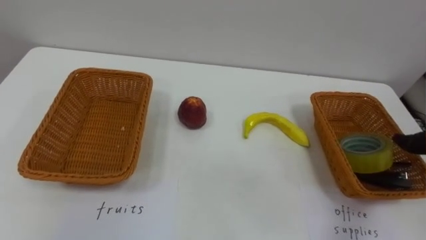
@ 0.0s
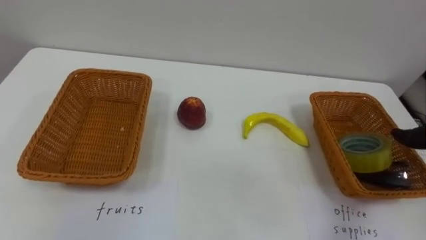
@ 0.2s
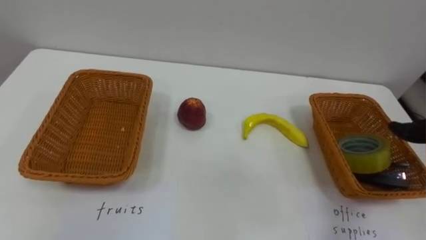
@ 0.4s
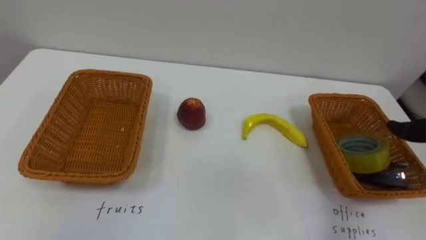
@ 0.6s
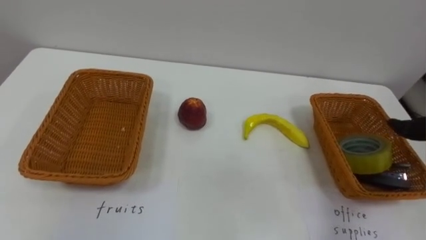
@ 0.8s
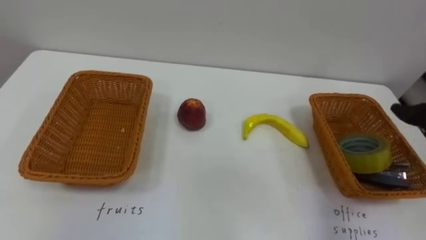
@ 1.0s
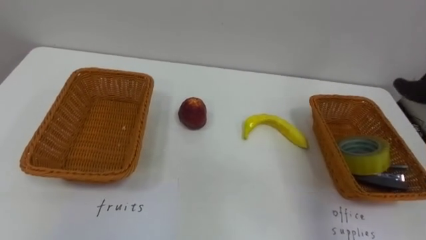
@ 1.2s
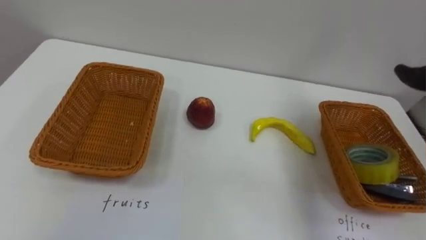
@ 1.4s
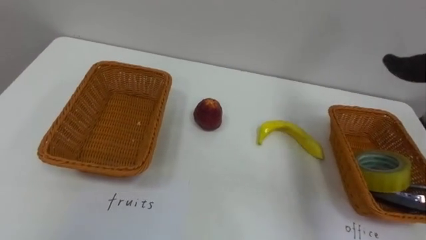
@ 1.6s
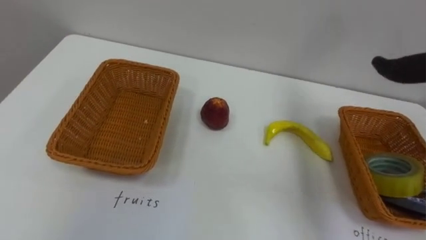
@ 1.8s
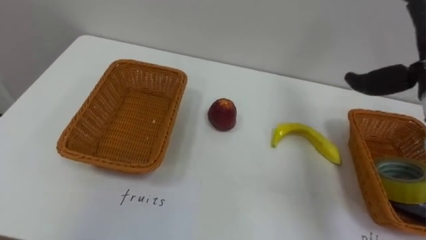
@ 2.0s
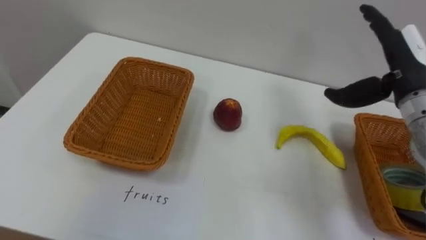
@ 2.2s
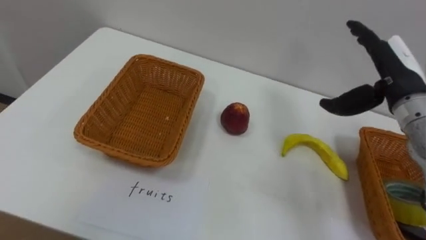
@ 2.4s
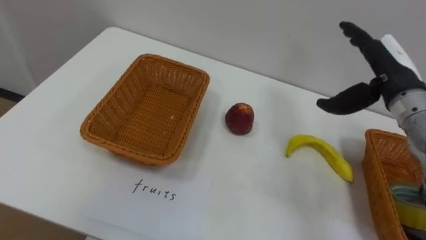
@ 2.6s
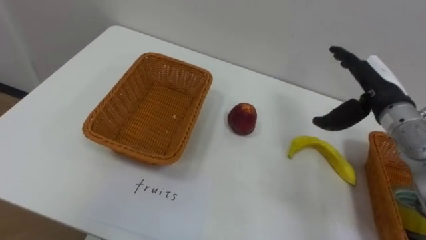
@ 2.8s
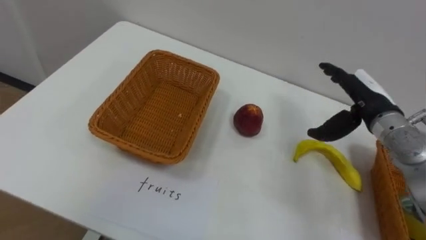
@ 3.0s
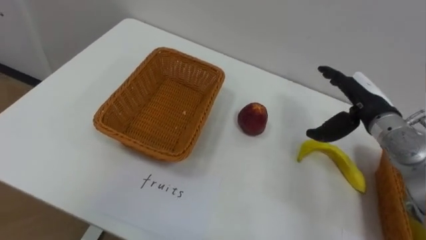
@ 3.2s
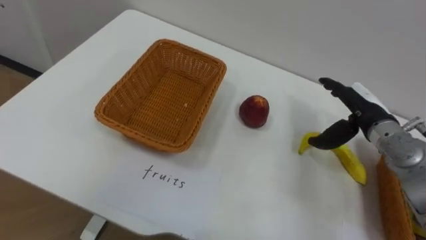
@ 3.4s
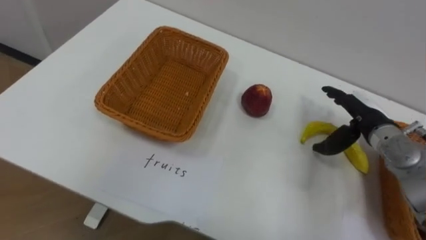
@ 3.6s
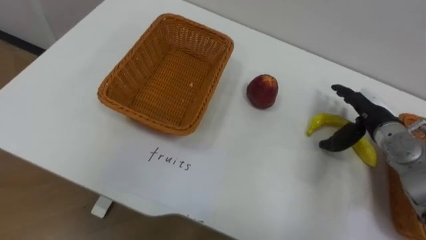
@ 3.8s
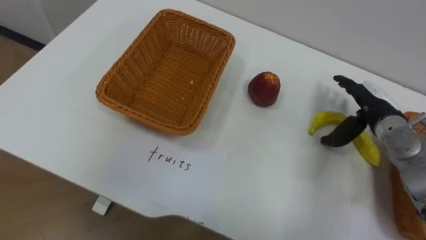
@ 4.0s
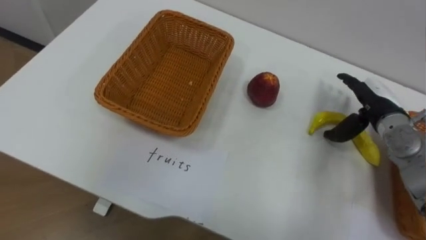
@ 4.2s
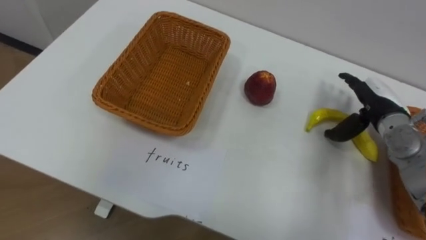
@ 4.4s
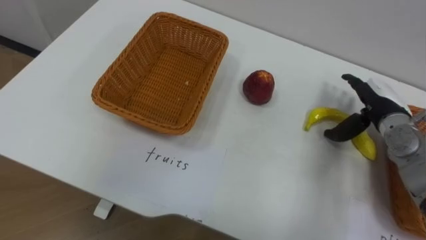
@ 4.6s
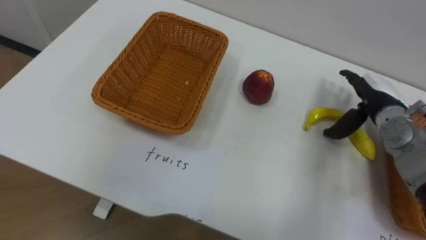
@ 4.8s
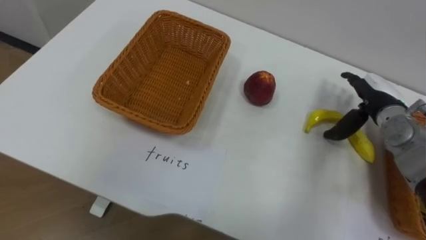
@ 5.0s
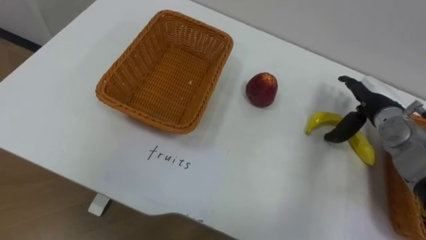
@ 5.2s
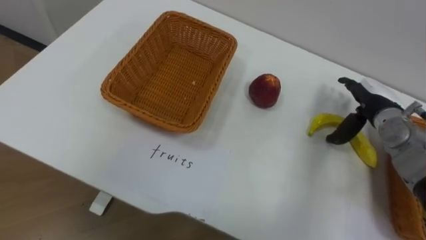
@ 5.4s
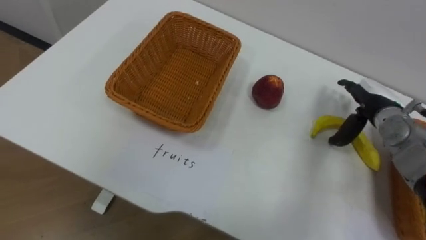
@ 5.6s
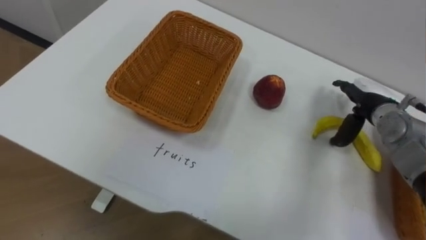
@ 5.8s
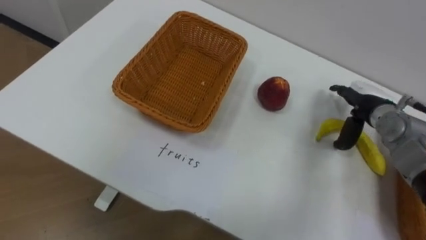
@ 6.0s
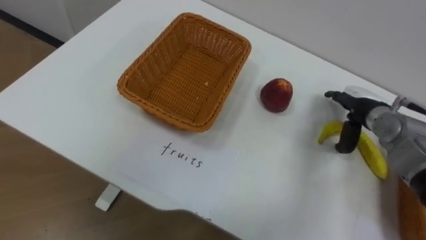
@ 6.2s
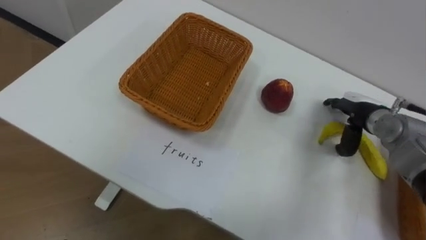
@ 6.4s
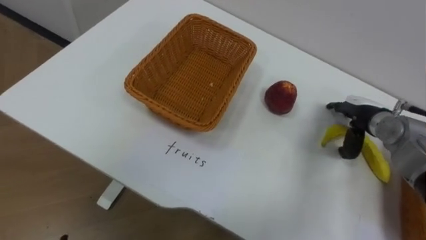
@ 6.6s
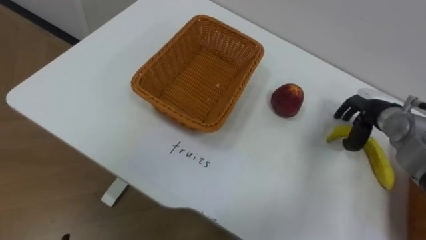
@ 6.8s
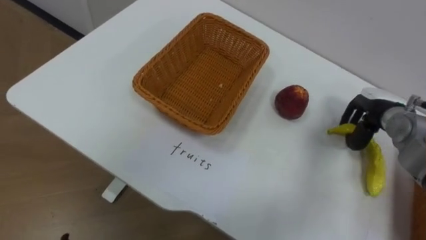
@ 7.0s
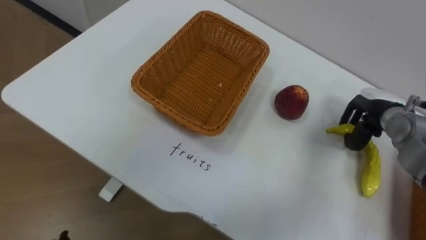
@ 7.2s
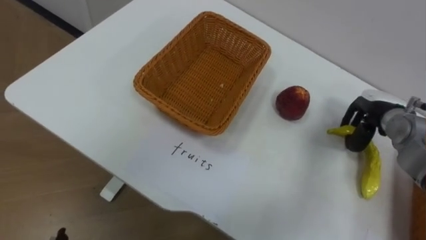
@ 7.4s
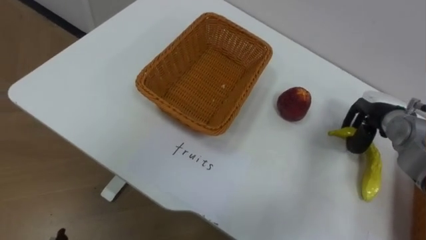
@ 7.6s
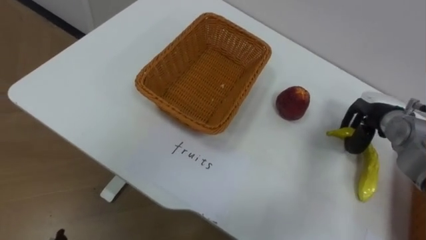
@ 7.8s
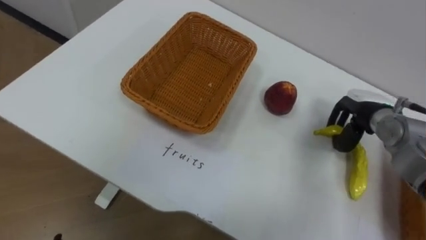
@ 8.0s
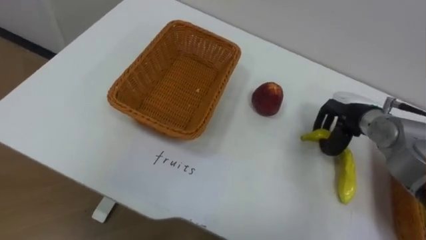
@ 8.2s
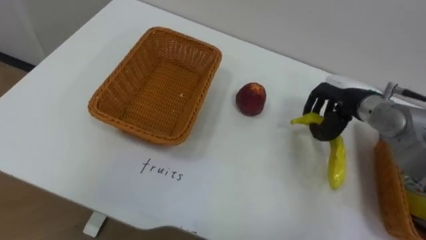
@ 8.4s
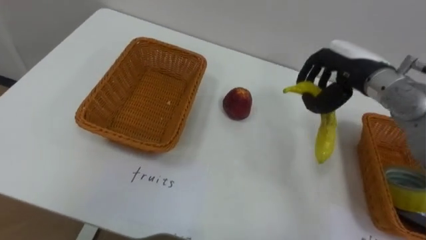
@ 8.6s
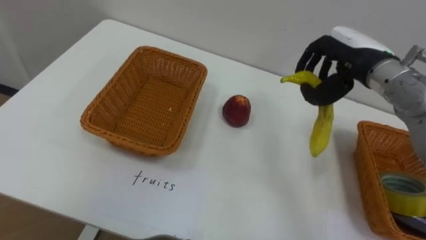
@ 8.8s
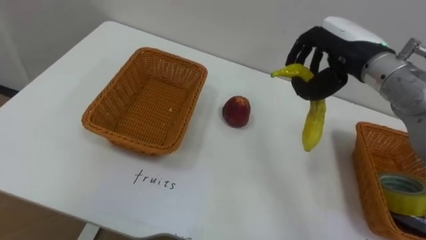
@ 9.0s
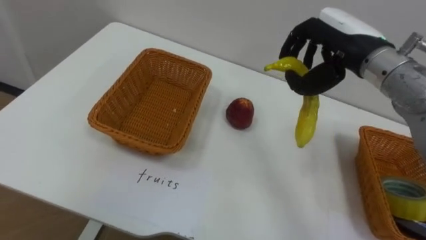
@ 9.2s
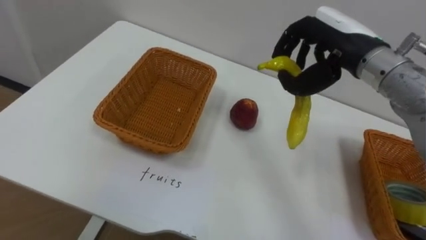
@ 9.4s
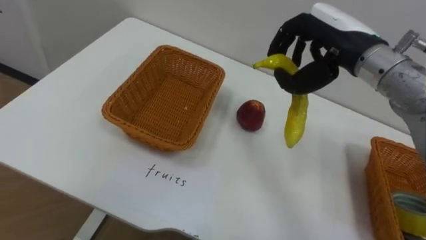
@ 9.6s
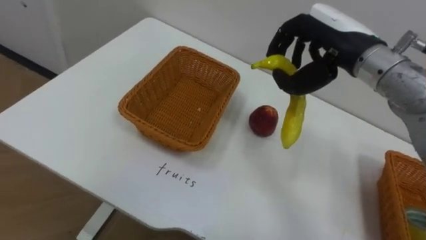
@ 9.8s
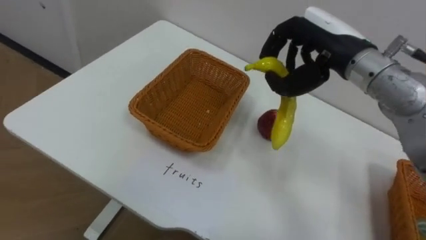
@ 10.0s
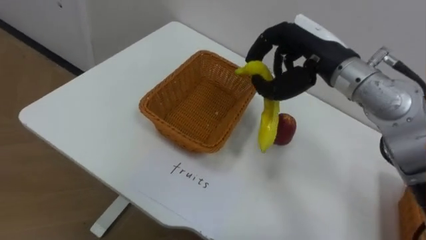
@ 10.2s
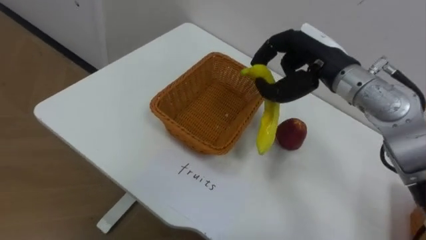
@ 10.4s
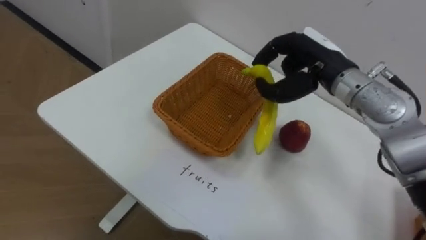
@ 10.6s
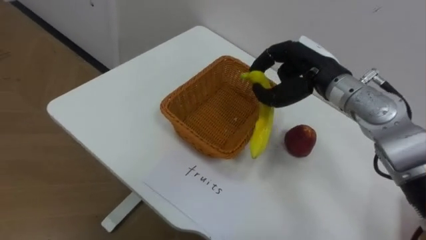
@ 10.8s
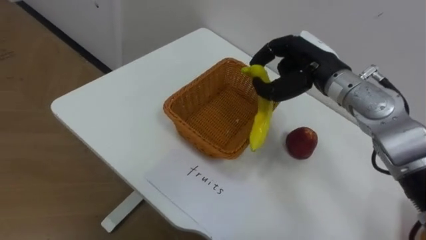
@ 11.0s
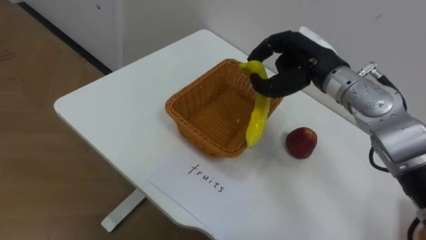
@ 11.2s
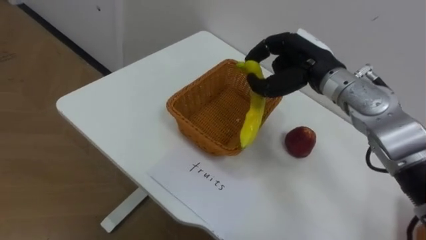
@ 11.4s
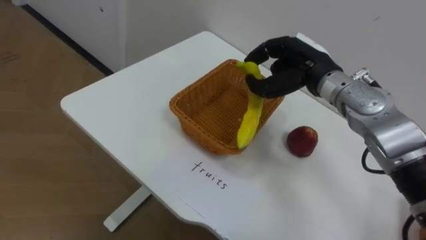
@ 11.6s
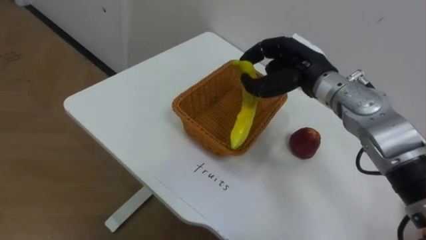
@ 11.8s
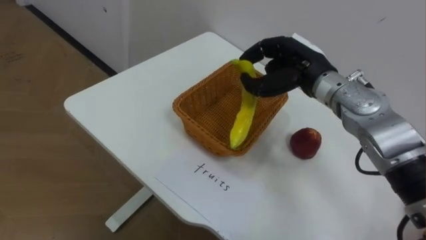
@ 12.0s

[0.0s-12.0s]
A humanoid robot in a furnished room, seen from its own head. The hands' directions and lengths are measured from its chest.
Task of the whole recording: Separate the items on the table and place them into the two baskets.
6.0s to 7.6s: The right hand closes up.
7.6s to 9.0s: The right hand travels upward and to the left by roughly 20 cm.

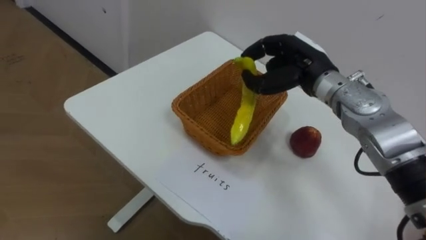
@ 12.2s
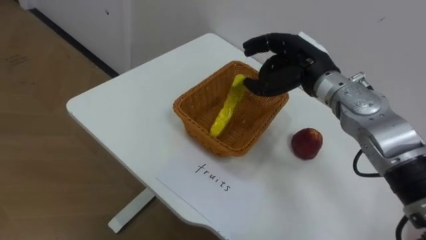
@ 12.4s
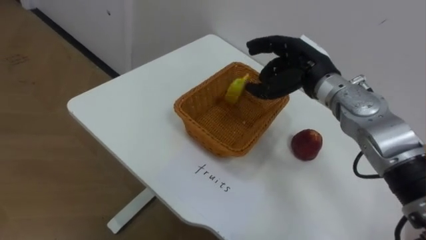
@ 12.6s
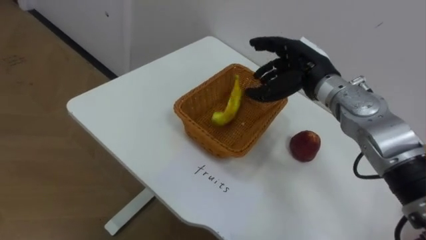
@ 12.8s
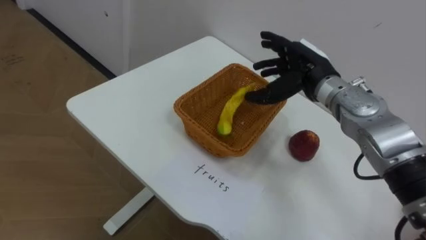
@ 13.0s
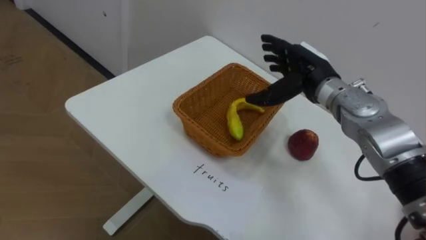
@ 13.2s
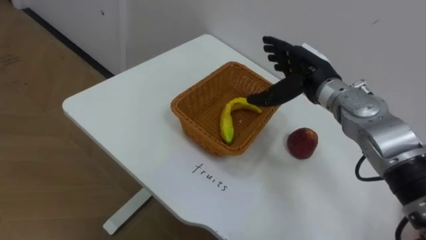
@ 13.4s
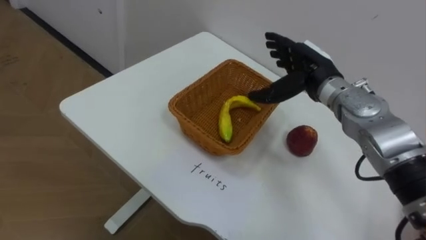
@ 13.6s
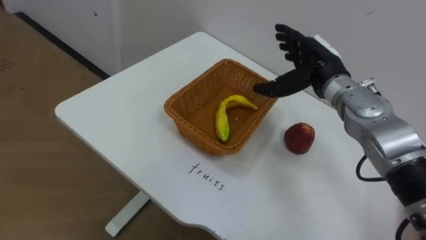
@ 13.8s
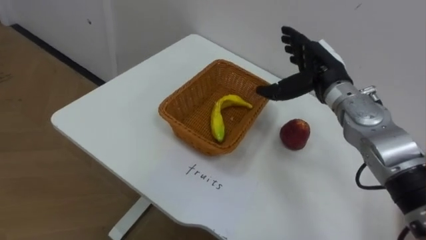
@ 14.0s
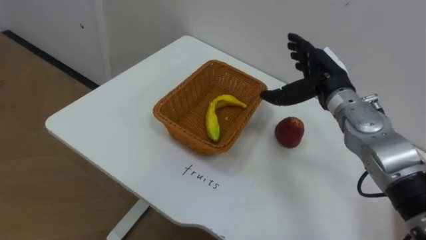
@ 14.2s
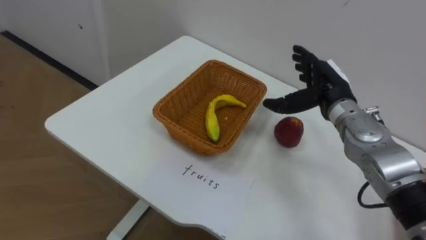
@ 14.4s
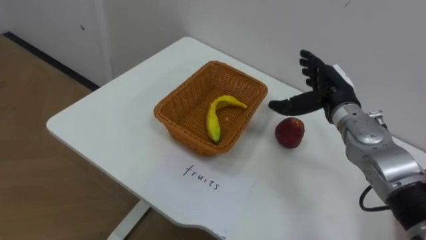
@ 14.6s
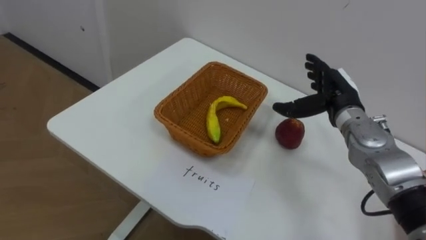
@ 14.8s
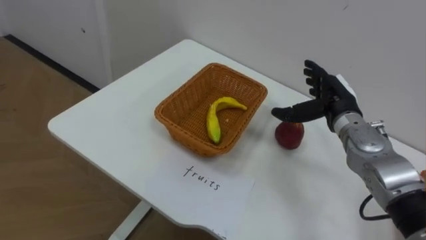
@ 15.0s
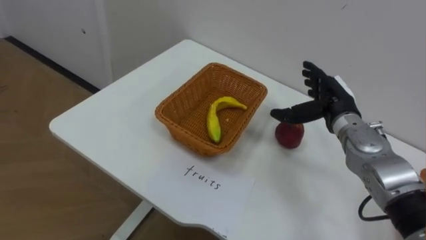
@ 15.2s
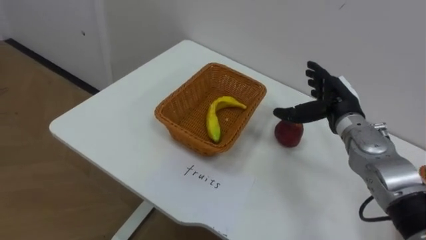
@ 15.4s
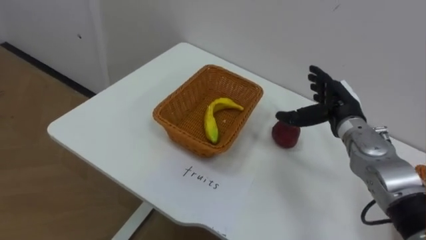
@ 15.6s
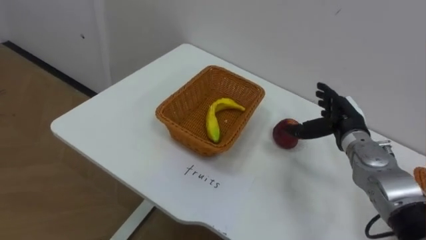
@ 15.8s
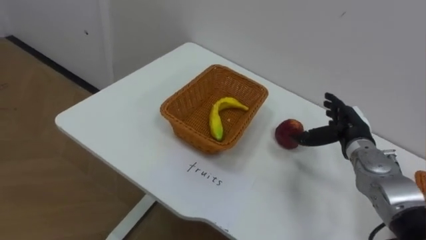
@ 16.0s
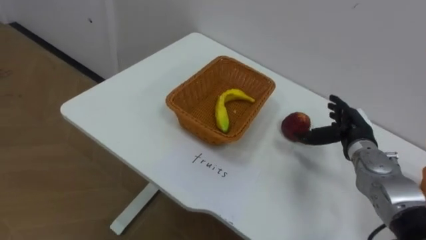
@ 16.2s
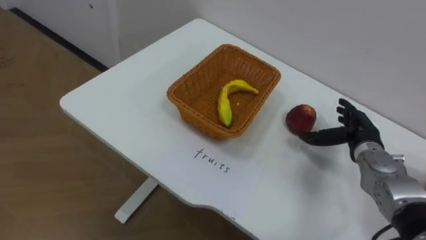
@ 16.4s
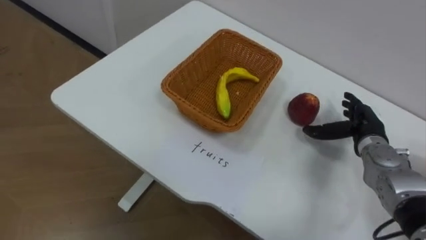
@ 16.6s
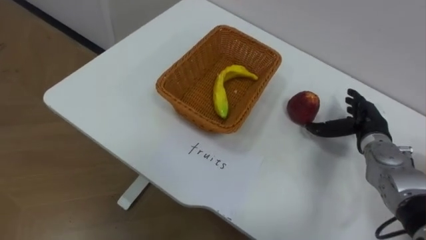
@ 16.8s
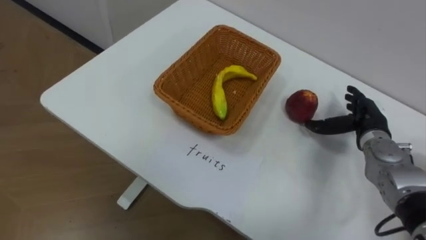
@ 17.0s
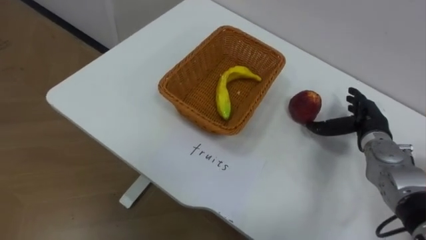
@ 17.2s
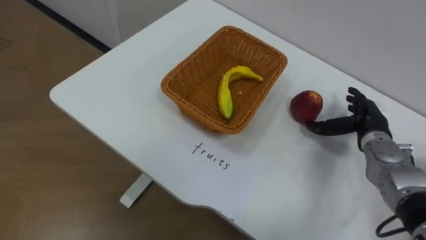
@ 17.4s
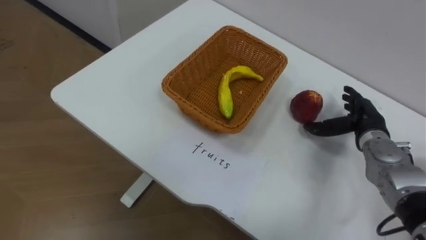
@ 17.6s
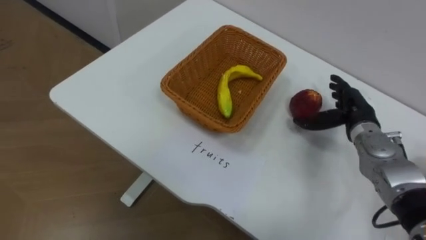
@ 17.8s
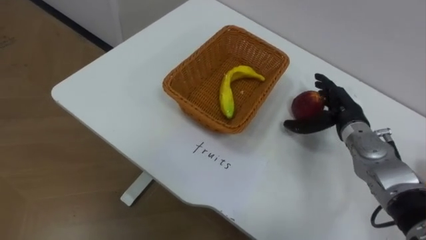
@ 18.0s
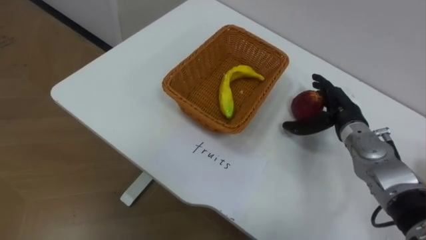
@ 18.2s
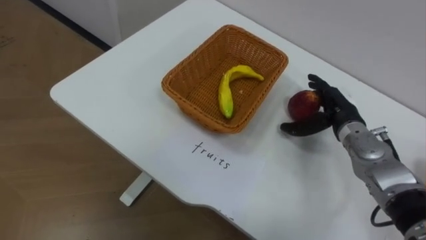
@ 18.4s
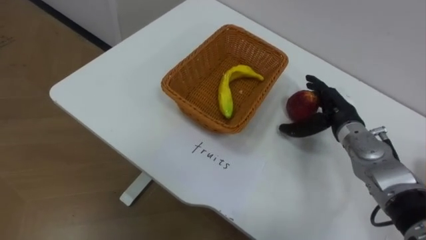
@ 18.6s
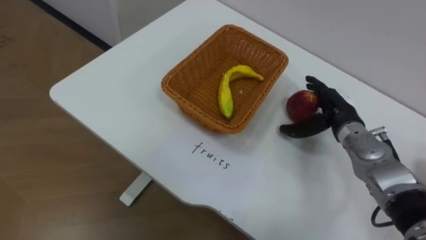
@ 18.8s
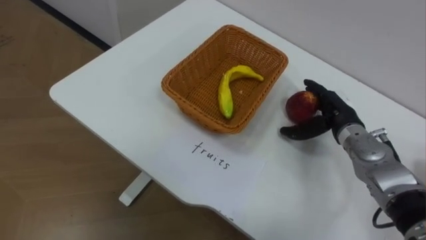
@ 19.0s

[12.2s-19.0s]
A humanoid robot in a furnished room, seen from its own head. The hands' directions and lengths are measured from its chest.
Task of the whole recording: Separate the items on the table and place them into the two baskets.
12.2s to 13.6s: The right hand opens its fingers.
13.6s to 15.0s: The right hand goes roughly 10 cm to the right and downward.
15.0s to 16.2s: The right hand travels downward by approximately 5 cm.
17.6s to 19.0s: The right hand shifts some 5 cm to the left.
